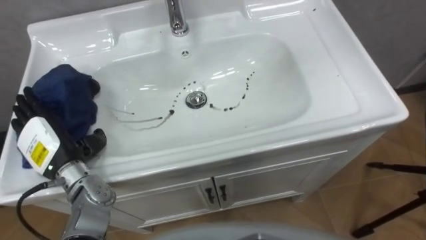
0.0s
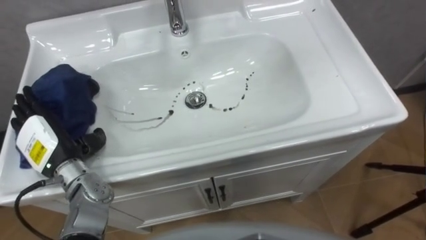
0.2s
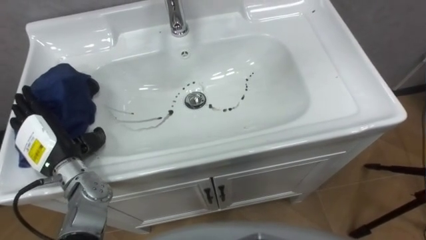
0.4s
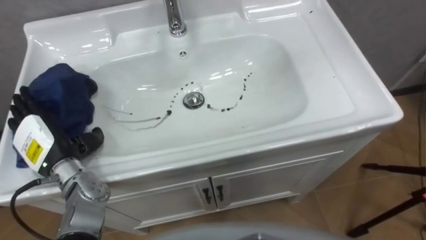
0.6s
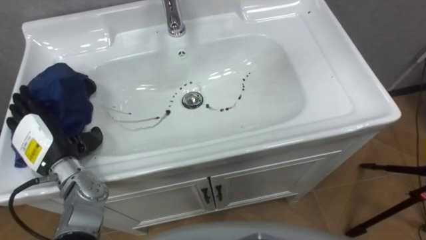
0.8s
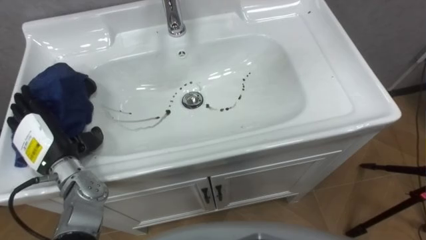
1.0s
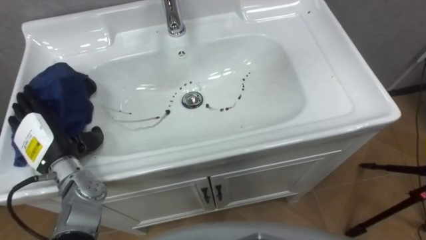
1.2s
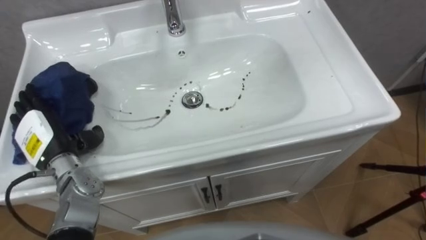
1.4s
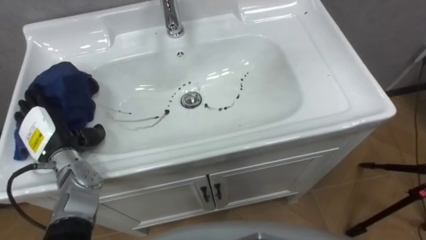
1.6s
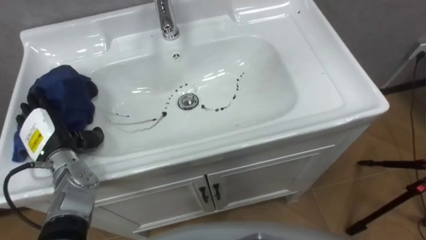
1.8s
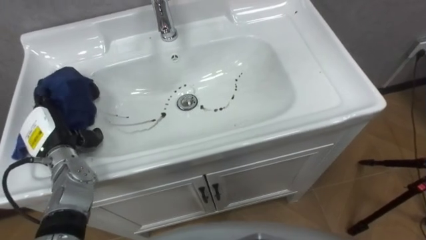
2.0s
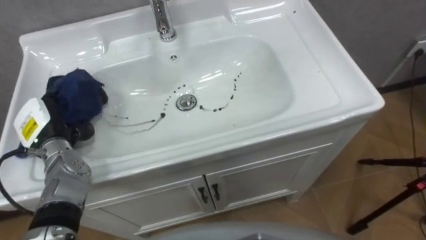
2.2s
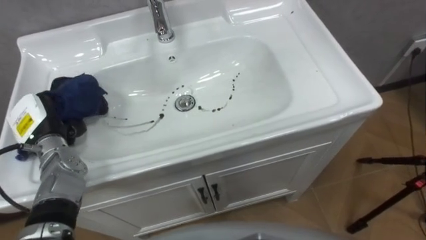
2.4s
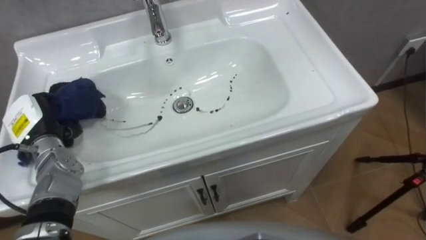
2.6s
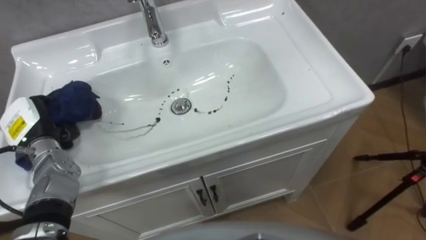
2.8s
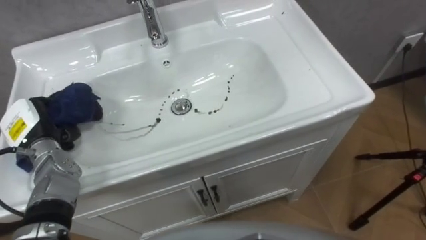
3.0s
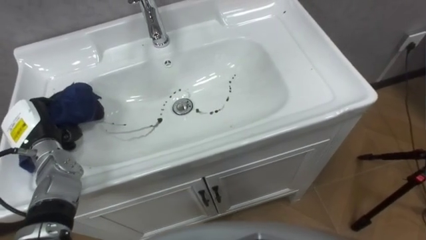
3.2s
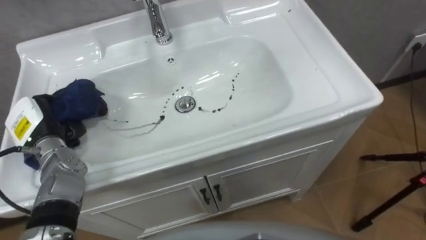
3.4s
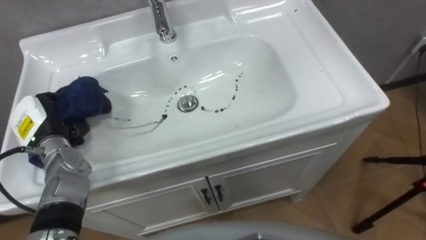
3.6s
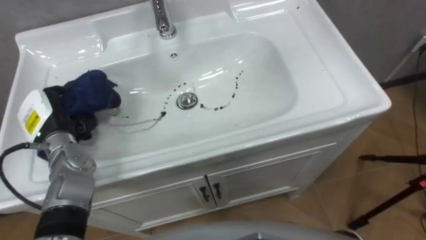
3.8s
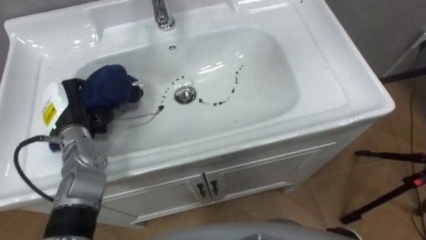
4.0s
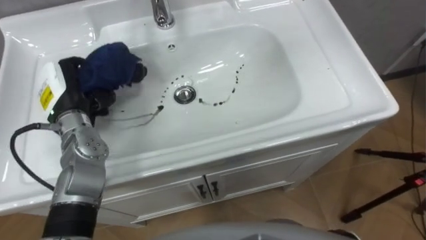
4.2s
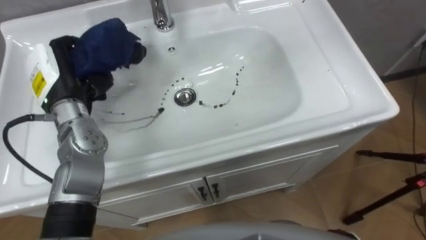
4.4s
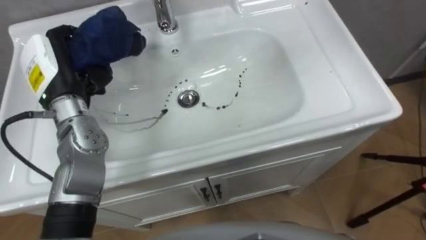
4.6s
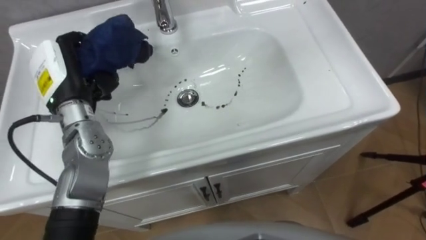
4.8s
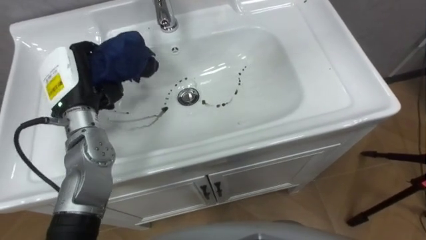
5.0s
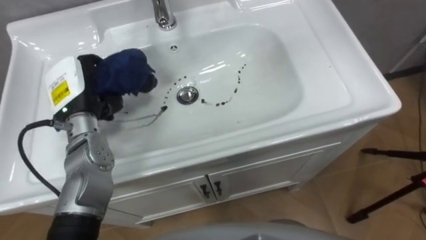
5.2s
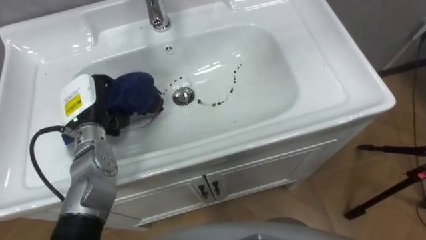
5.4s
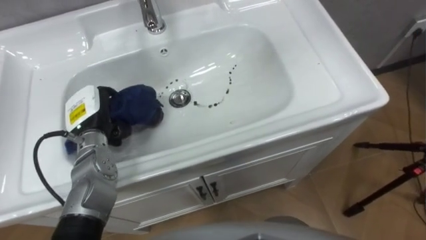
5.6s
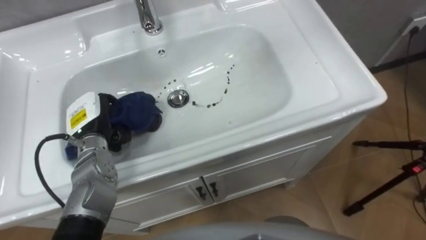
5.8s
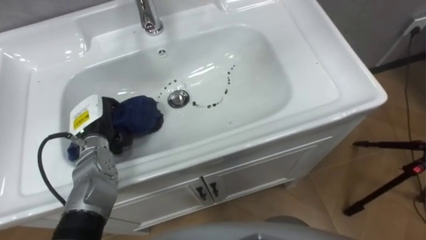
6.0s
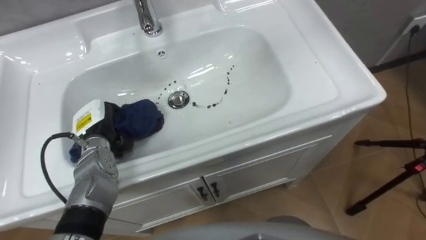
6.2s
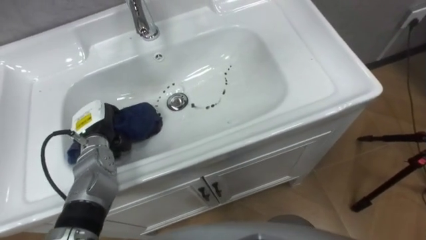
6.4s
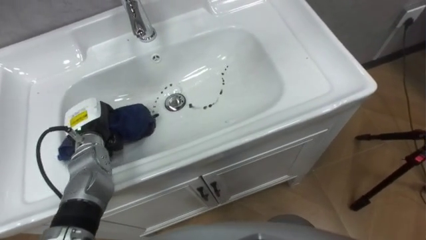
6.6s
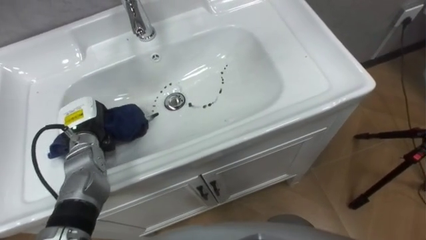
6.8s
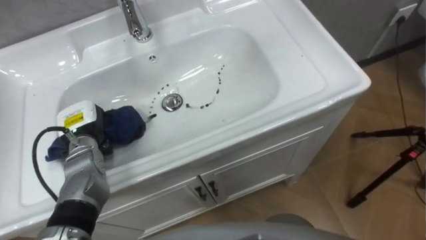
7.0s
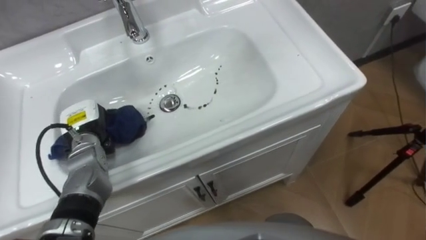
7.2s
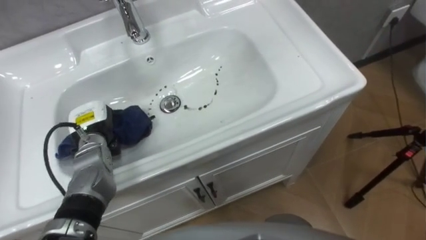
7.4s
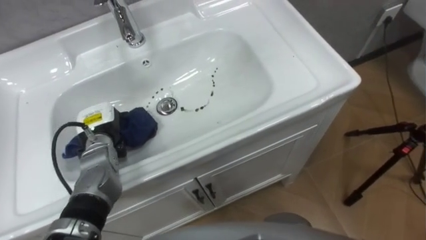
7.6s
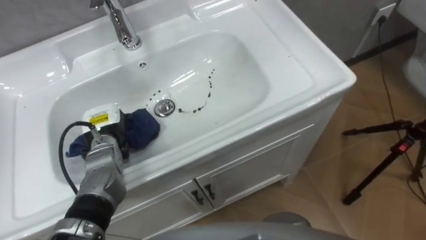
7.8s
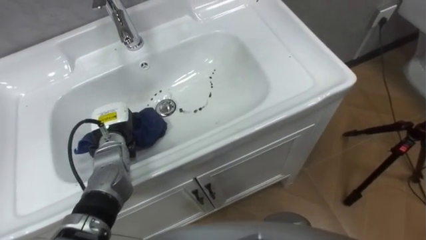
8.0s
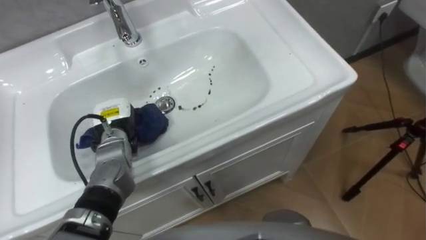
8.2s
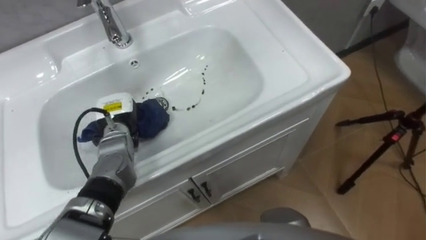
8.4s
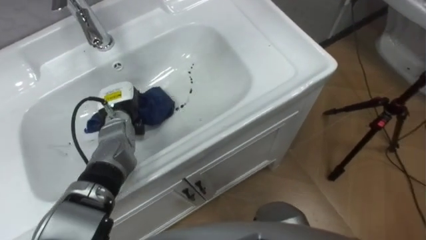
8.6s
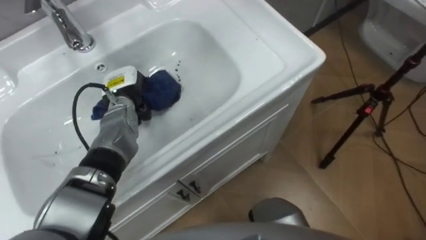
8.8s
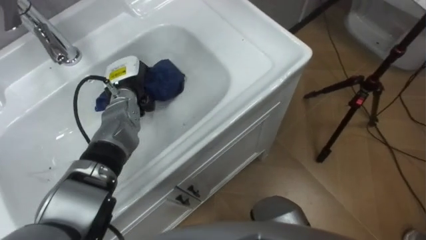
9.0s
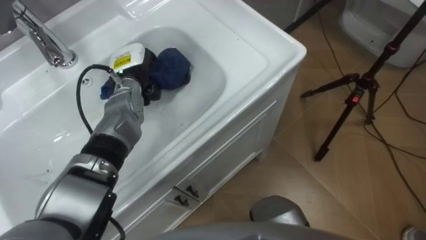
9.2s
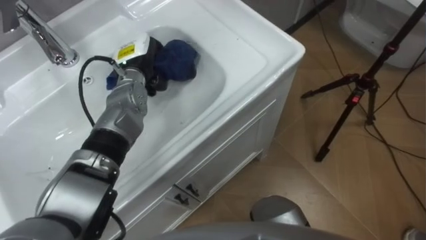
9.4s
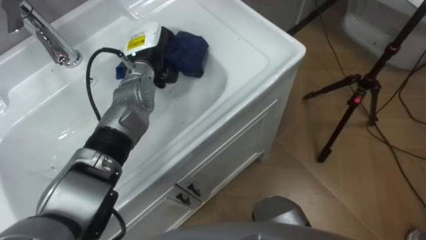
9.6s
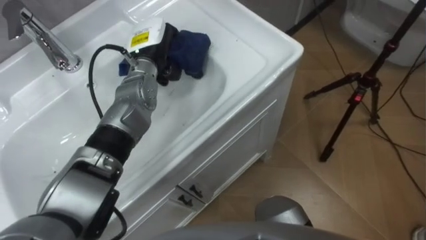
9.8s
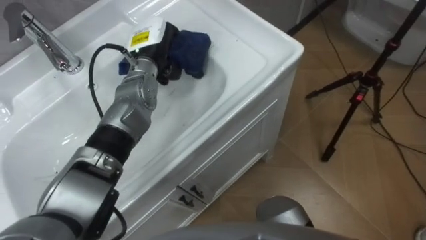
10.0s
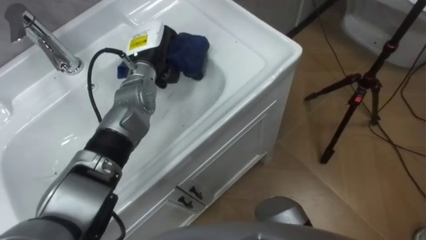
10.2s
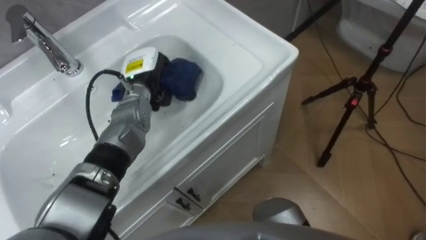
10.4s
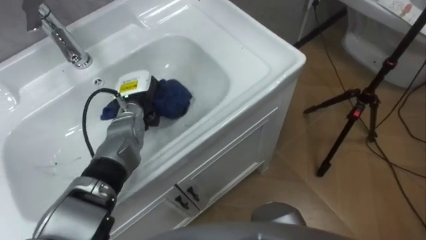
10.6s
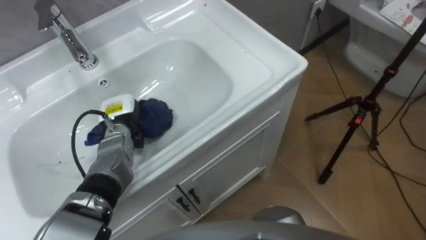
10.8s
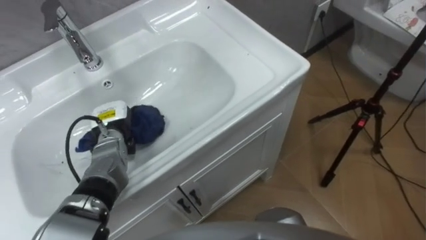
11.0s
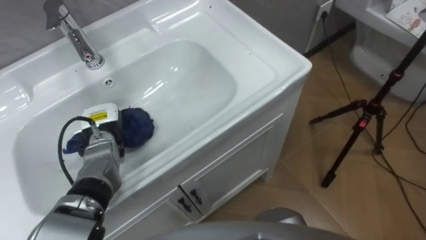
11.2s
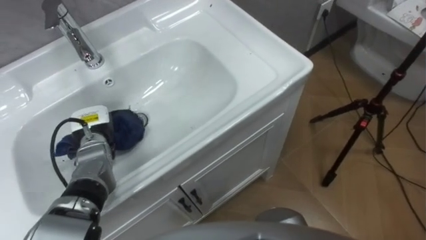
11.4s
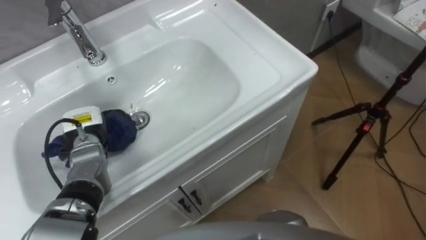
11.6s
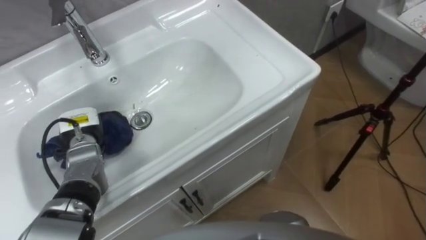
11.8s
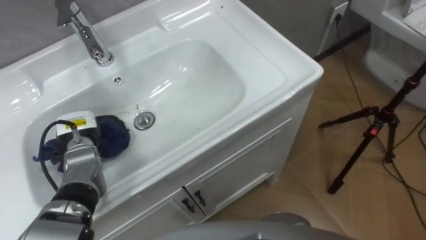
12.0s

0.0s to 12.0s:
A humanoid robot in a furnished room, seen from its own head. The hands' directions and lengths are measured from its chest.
Task of the whole recording: Use the cloth on the right to wipe away the black stain in the sink.
1.6s to 3.0s: The left hand closes up.
3.0s to 4.4s: The left hand is displaced upward, to the right and forward by roughly 15 cm.
4.4s to 6.0s: The left hand is displaced downward by some 10 cm.
7.6s to 9.0s: The left hand heads forward and to the right, covering some 10 cm.
10.4s to 12.0s: The left hand heads to the left, backward and downward, covering approximately 20 cm.

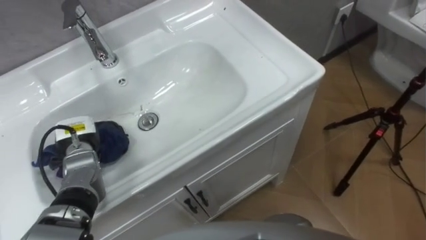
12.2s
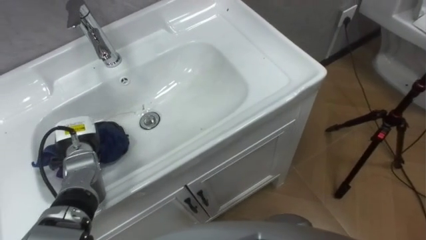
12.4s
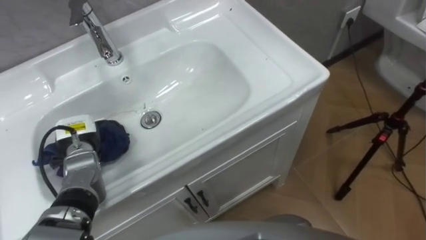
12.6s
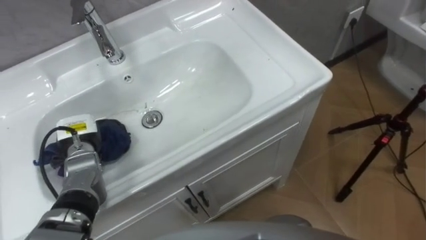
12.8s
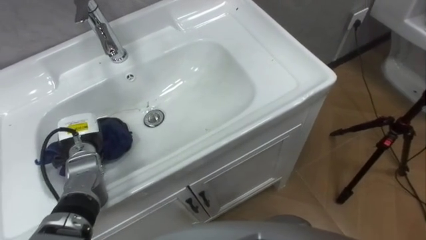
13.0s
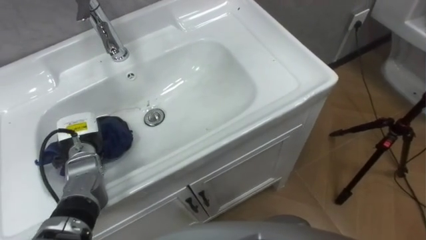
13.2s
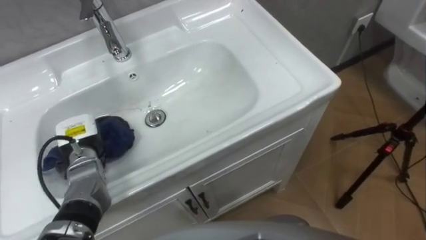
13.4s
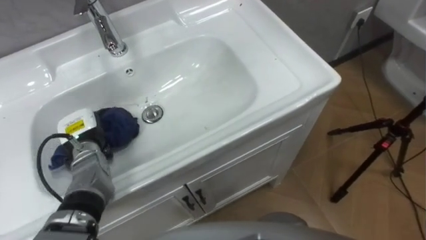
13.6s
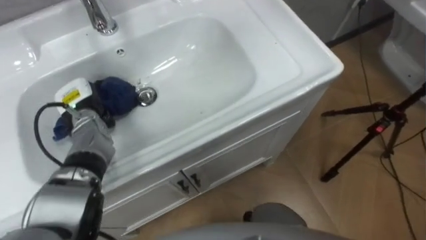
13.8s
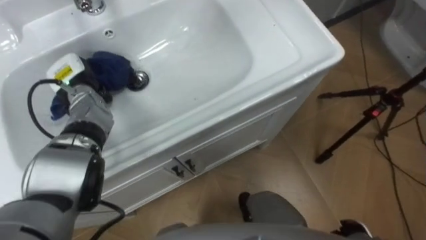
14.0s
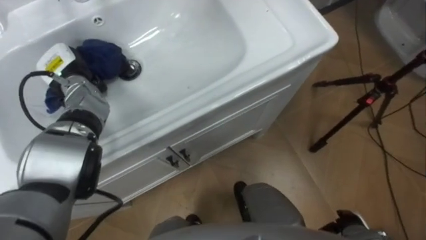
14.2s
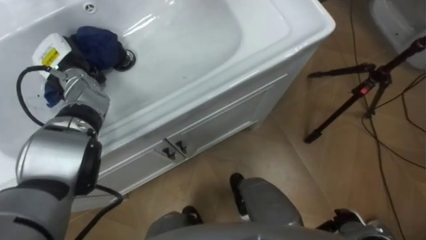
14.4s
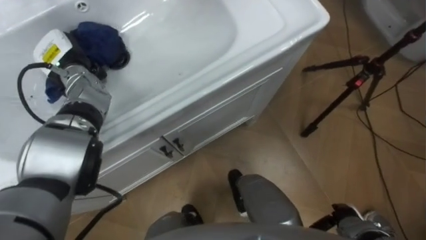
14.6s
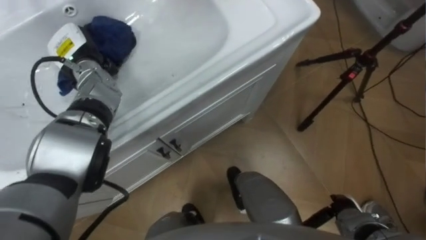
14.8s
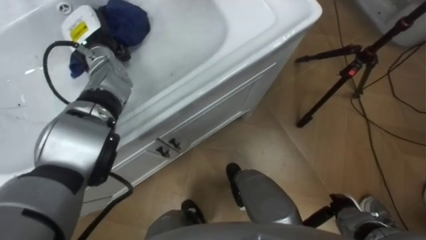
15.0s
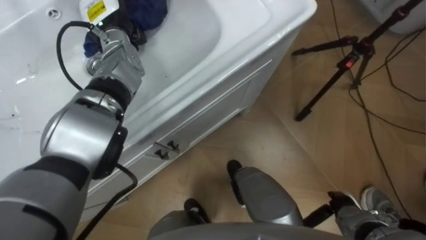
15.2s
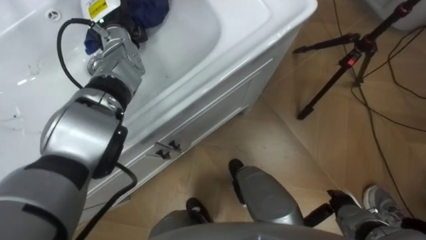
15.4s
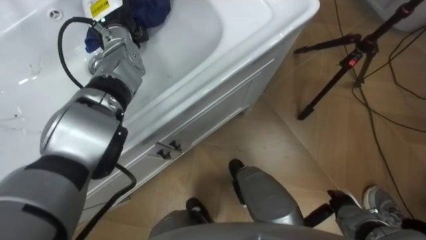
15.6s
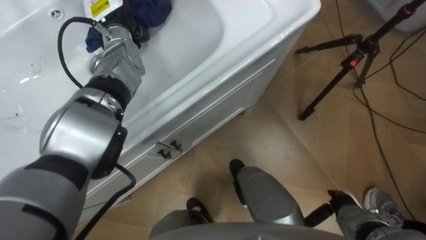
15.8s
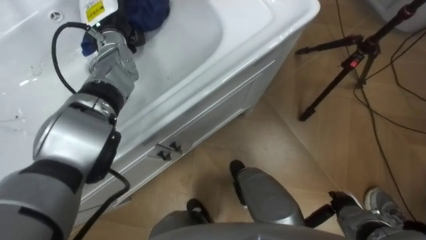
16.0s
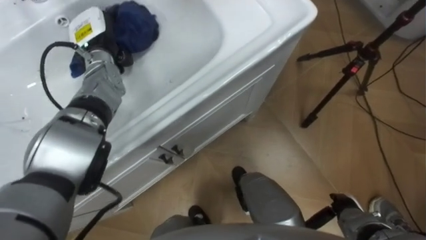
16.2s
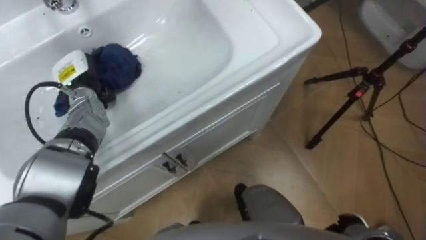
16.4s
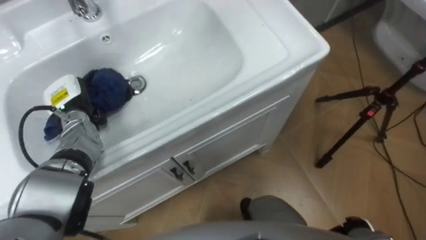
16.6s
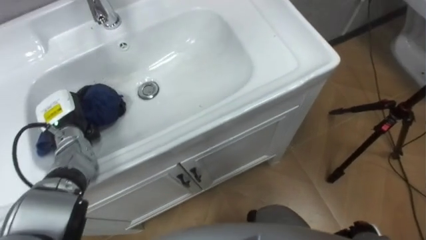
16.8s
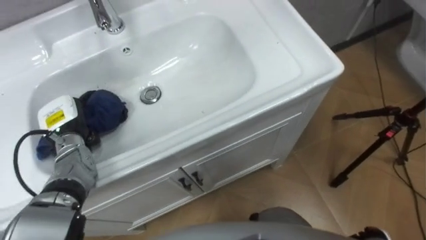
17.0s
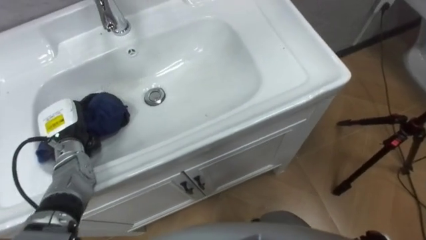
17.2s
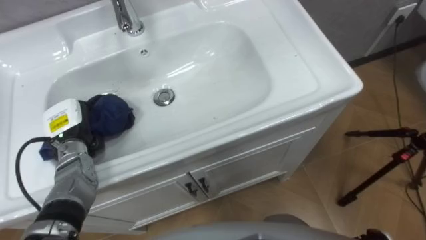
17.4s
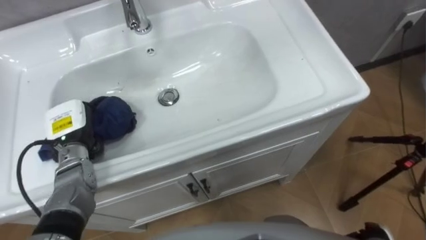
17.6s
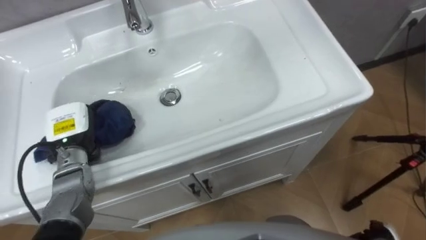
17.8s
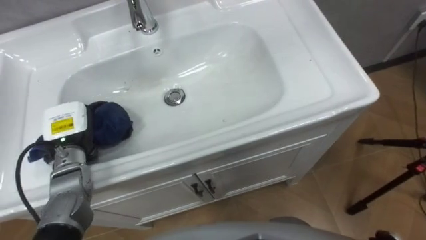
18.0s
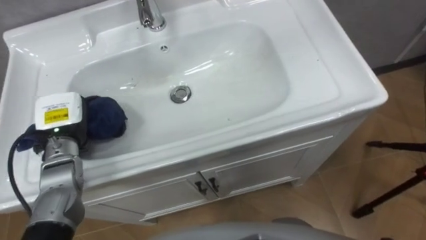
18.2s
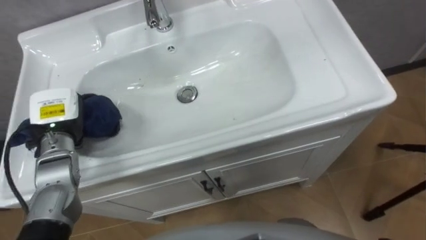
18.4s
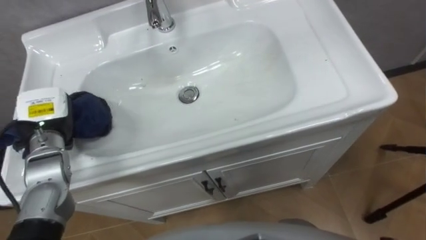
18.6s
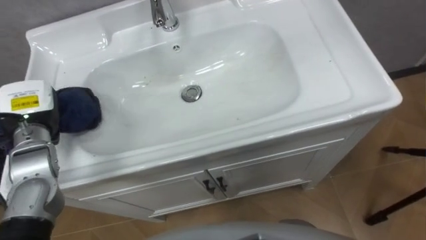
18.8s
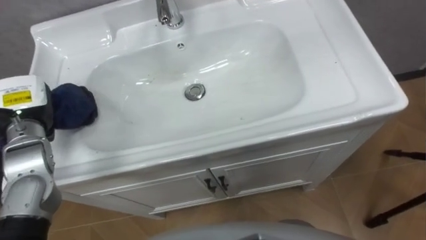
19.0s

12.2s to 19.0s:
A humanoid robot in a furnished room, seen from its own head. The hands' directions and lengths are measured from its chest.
Task of the whole recording: Use the cloth on the right to wipe away the black stain in the sink.
13.6s to 15.0s: The left hand goes approximately 20 cm forward and upward.
16.2s to 17.6s: The left hand heads backward and downward, covering roughly 20 cm.
17.6s to 19.0s: The left hand heads upward, covering some 10 cm.
